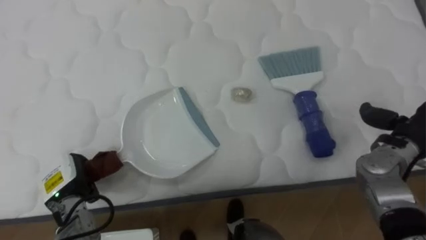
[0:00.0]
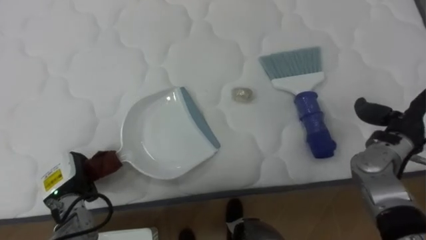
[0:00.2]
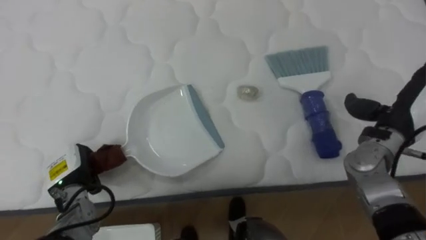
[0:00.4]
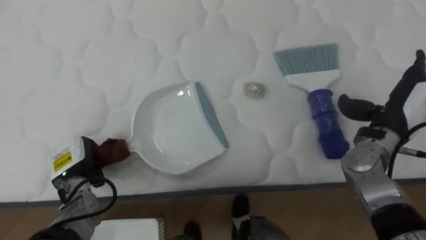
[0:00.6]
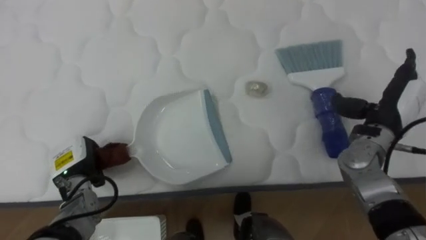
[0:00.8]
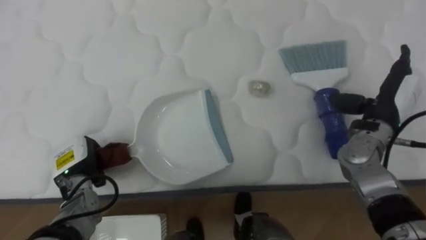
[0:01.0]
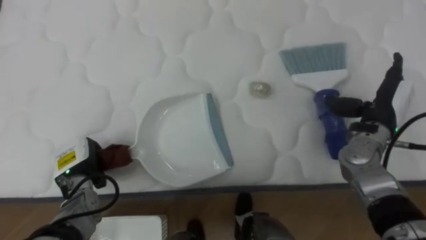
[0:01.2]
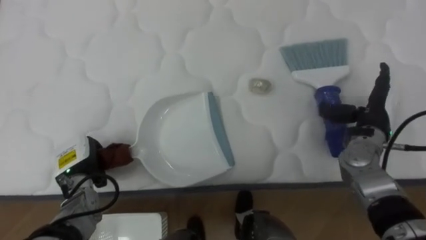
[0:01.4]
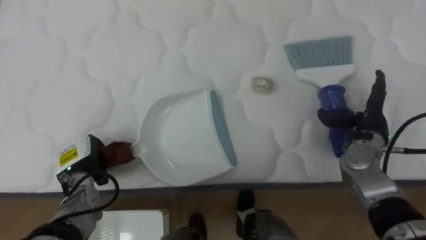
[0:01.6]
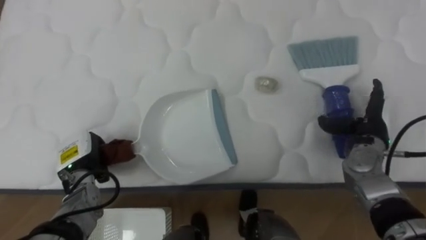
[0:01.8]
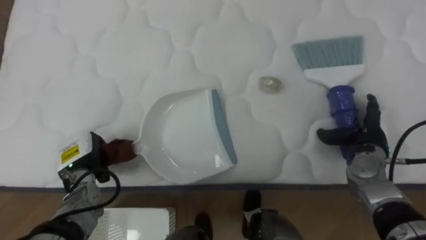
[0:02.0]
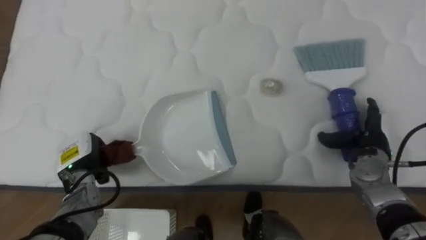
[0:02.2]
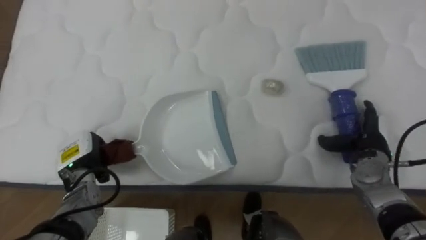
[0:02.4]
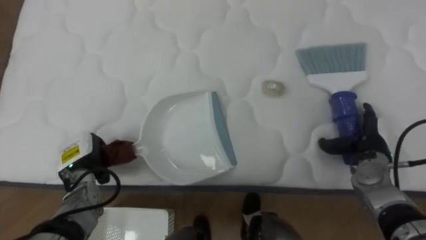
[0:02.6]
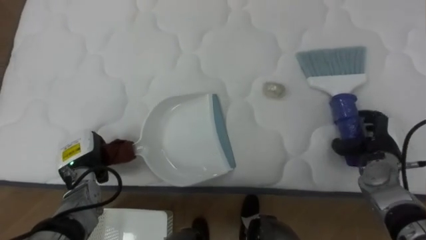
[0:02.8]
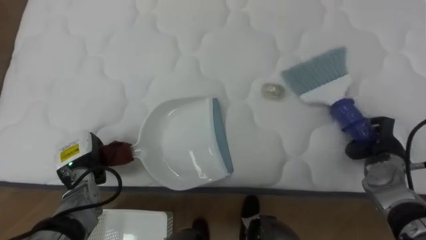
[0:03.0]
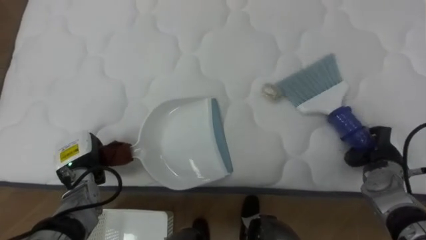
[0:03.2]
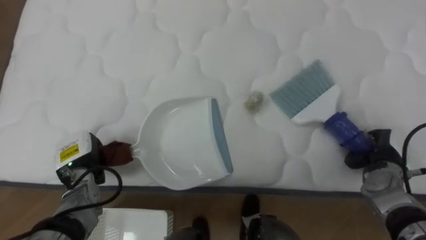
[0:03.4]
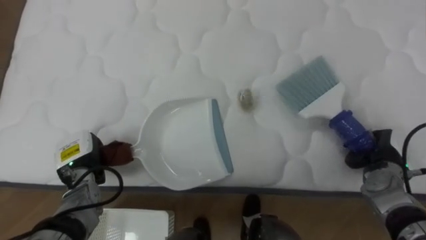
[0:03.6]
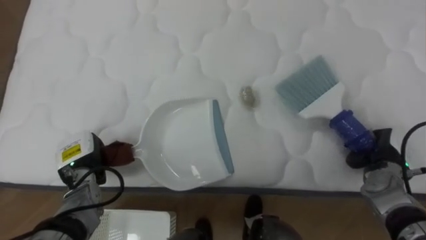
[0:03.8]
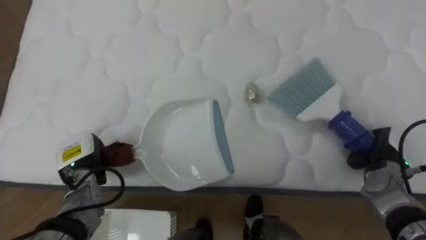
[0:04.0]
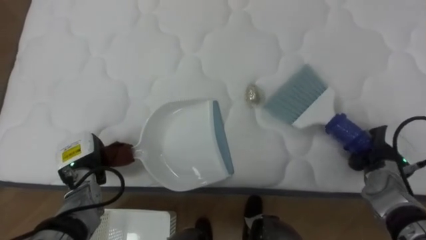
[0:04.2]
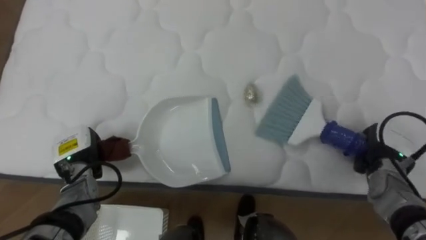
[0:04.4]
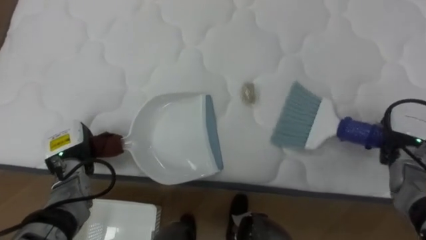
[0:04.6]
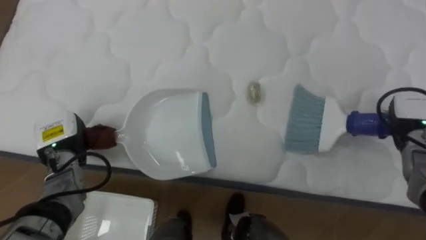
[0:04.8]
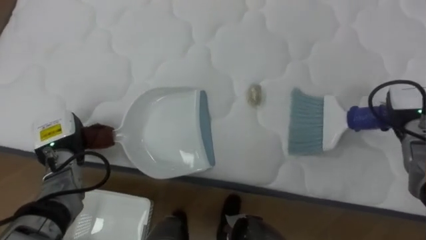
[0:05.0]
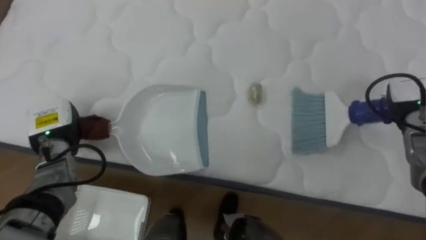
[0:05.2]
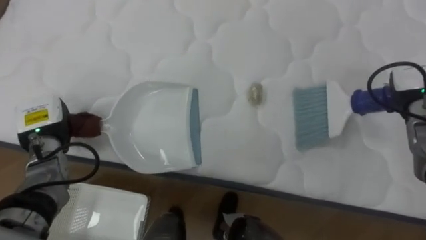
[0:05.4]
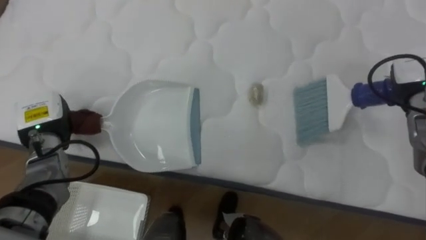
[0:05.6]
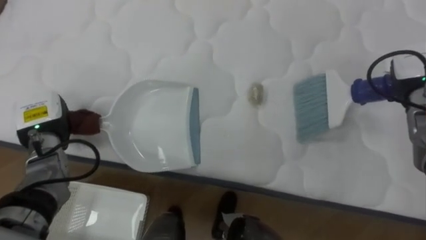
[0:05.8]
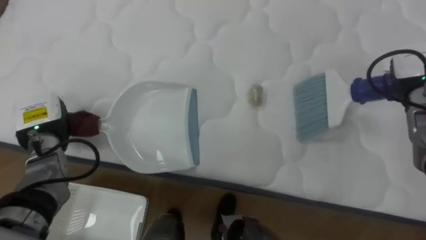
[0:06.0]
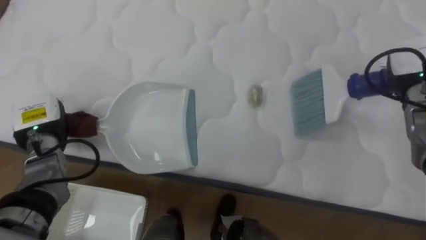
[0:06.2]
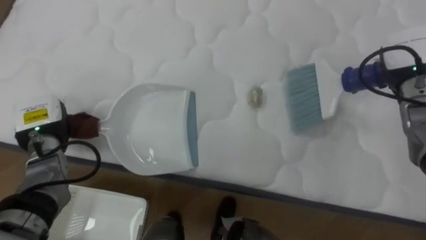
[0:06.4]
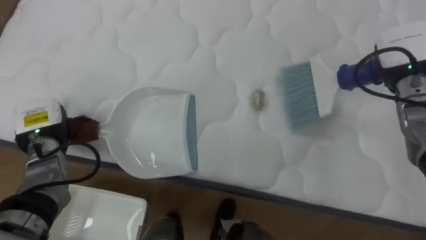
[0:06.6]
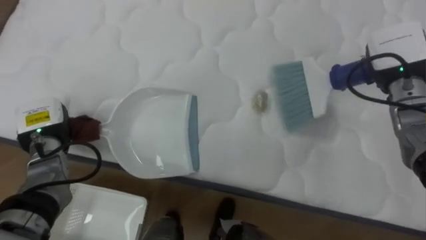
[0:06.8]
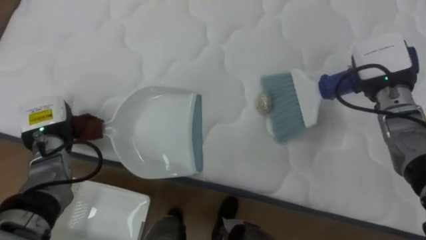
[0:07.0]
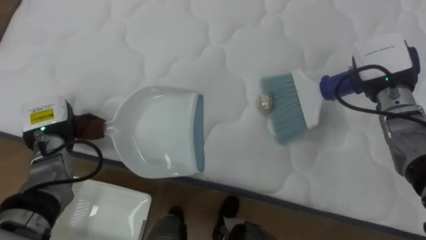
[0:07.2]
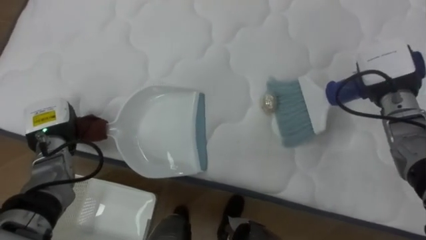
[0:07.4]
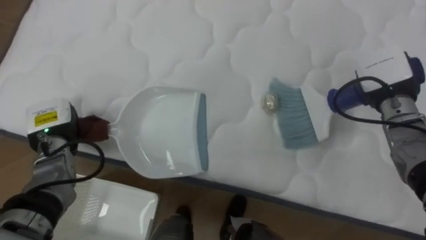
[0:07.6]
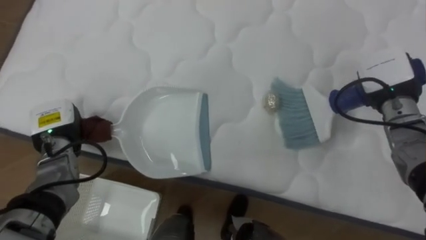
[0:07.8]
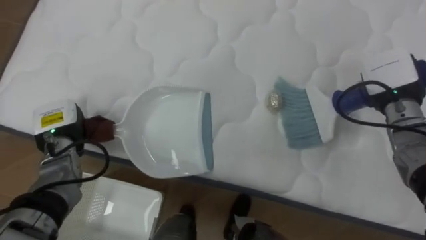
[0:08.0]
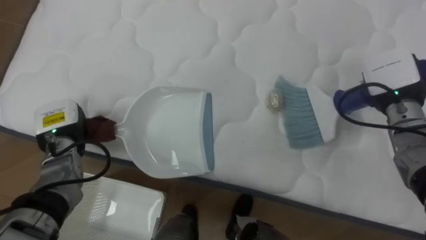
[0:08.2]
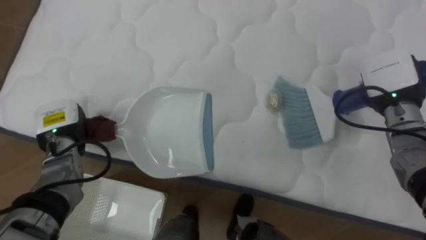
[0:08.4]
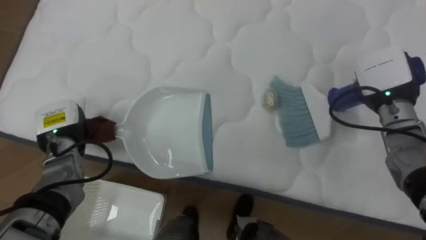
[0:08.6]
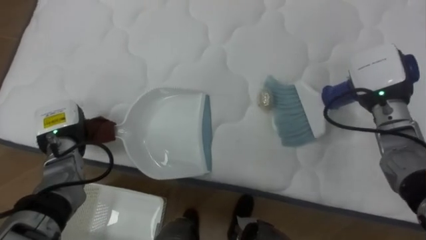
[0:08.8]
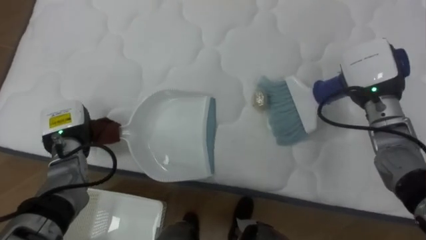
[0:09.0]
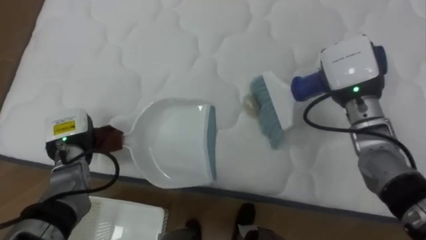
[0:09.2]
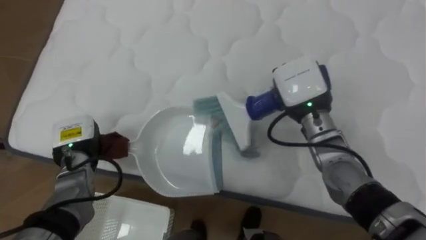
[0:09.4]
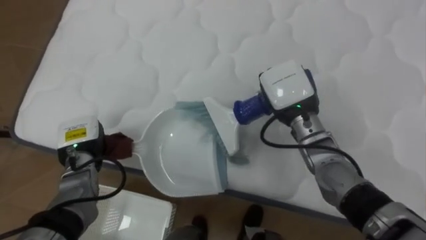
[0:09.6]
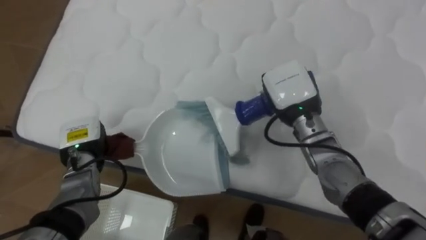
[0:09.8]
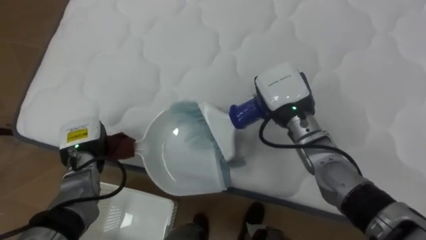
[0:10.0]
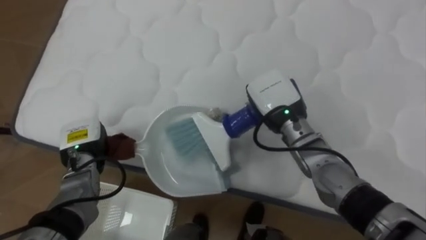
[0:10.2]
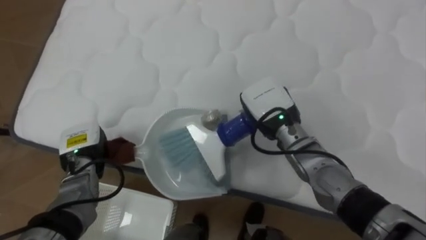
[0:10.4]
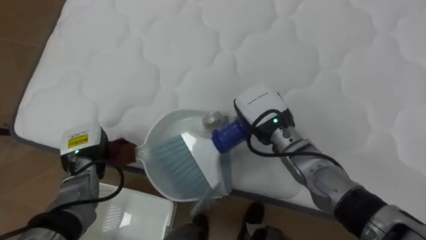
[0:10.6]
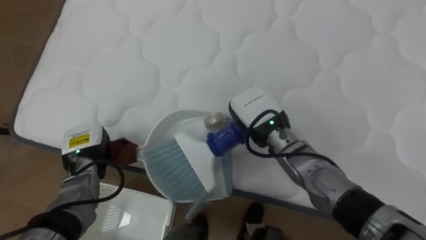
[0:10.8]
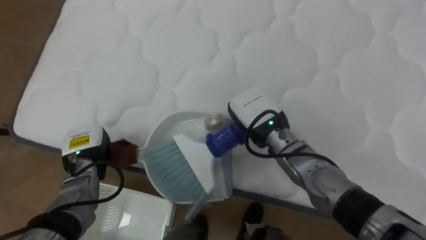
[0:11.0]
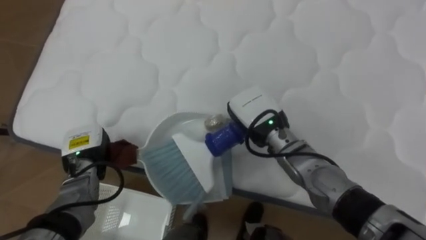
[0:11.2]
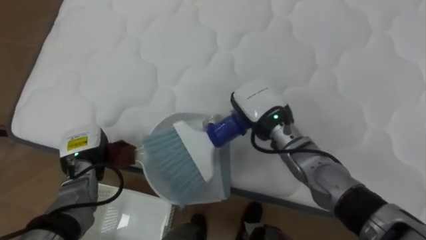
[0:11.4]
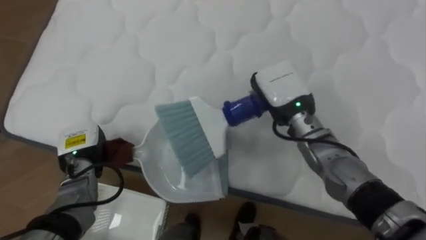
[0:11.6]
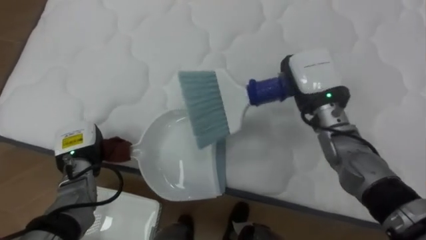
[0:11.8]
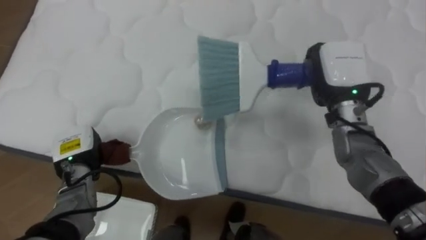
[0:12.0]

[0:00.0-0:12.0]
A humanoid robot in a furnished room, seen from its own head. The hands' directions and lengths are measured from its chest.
Task of the whole recording: Pick up the brush on your right and the dustpan on your left. Use the brush to sweep the crumpled paper on the bed into the dustpan, then turn left and empty it into the basket.
0:00.0 to 0:01.6: The left hand moves roughly 5 cm; the right hand goes roughly 5 cm to the left.
0:01.6 to 0:03.0: The right hand moves downward, about 5 cm, and closes.
0:04.4 to 0:06.0: The left hand moves upward, some 5 cm. The right hand heads upward and forward, covering some 15 cm.
0:06.0 to 0:07.6: The right hand moves to the left, some 5 cm.
0:09.0 to 0:10.4: The left hand moves roughly 5 cm; the right hand travels to the left by roughly 15 cm.
0:10.4 to 0:12.0: The right hand moves to the right and upward, some 15 cm.

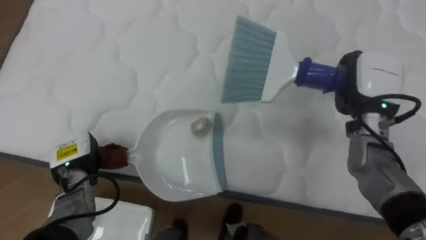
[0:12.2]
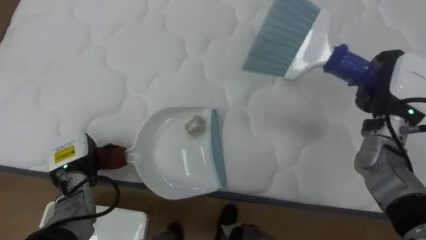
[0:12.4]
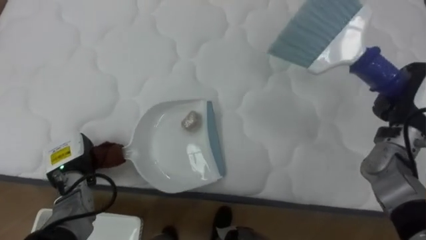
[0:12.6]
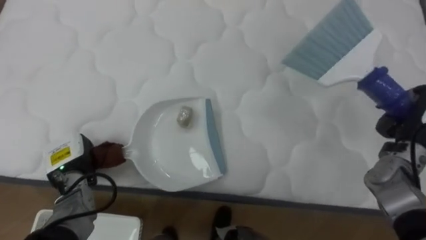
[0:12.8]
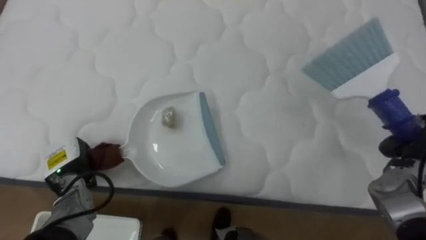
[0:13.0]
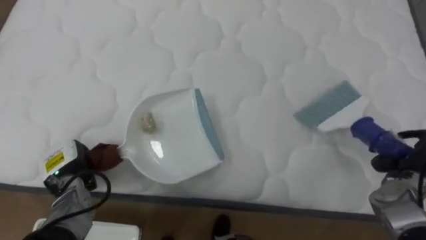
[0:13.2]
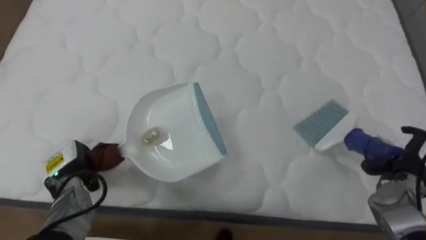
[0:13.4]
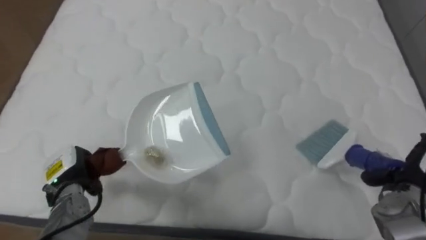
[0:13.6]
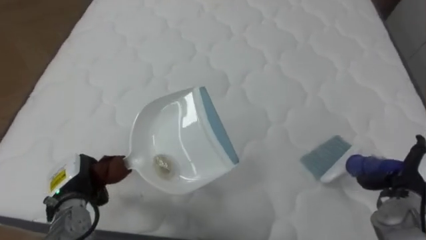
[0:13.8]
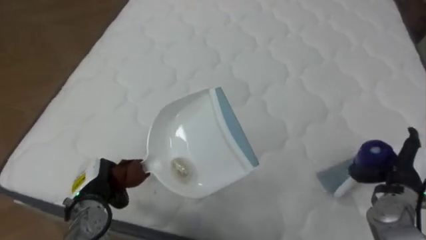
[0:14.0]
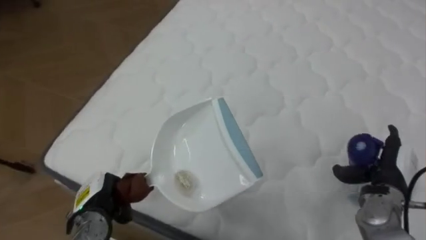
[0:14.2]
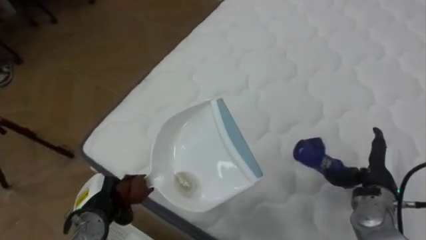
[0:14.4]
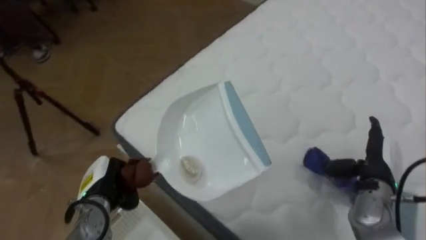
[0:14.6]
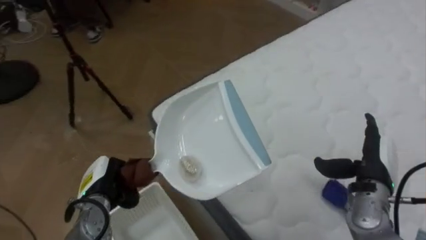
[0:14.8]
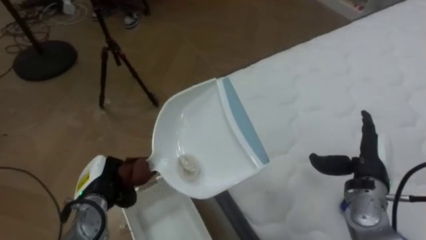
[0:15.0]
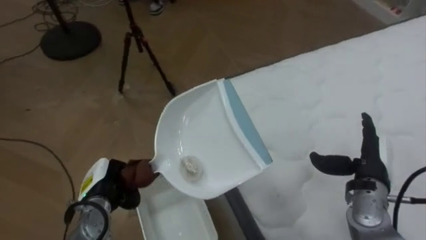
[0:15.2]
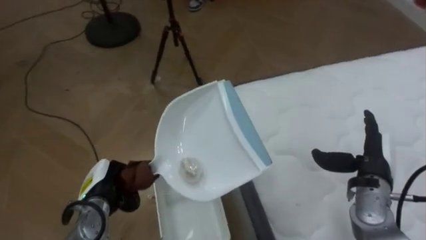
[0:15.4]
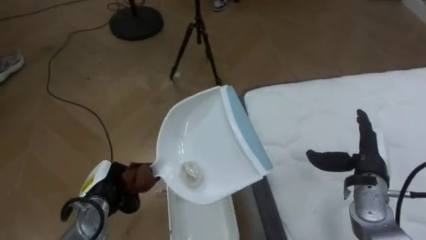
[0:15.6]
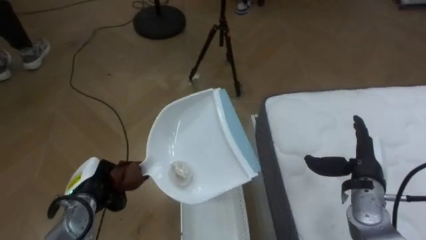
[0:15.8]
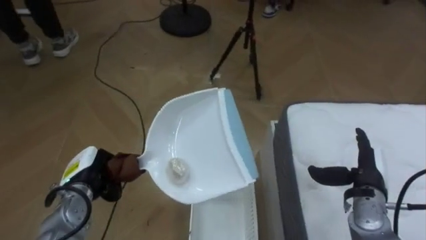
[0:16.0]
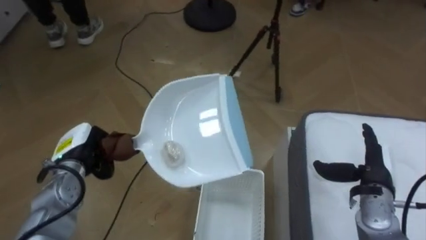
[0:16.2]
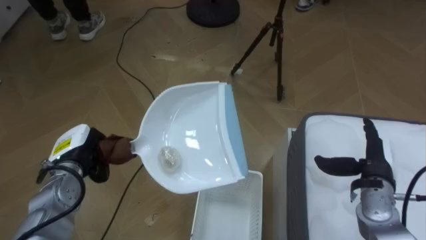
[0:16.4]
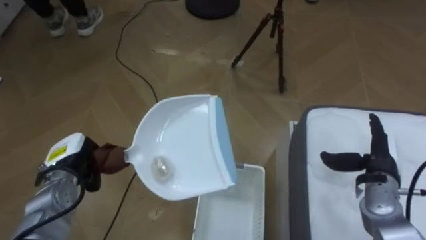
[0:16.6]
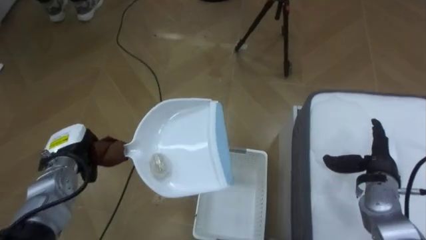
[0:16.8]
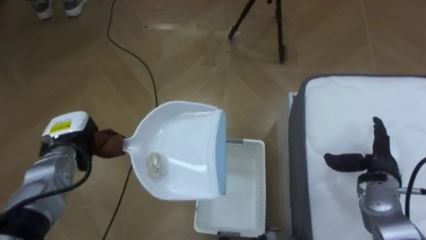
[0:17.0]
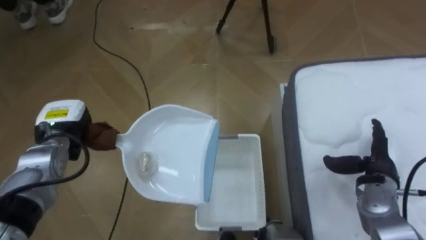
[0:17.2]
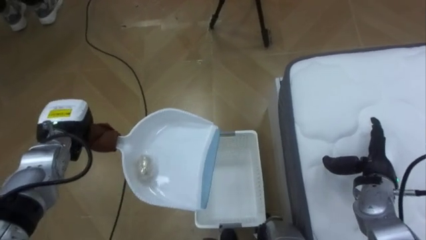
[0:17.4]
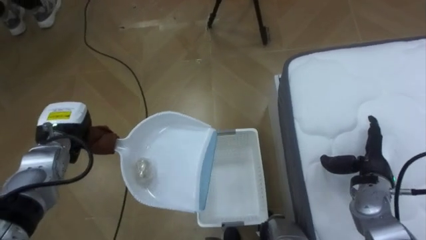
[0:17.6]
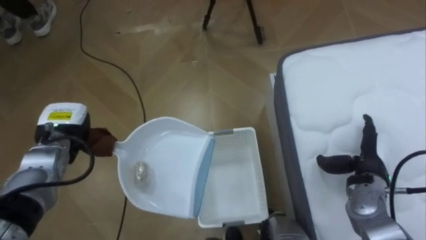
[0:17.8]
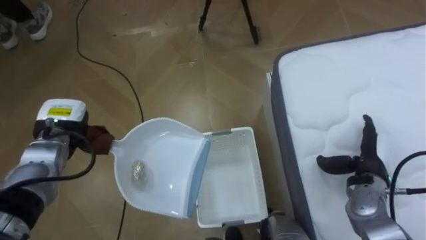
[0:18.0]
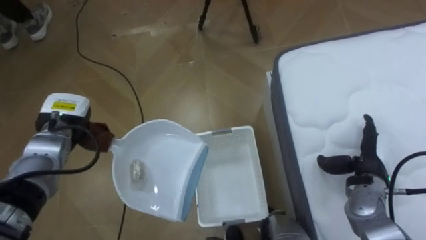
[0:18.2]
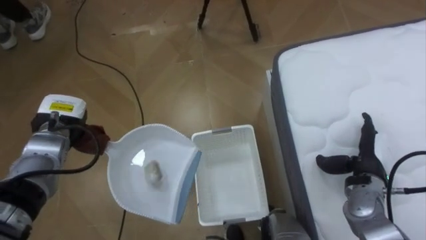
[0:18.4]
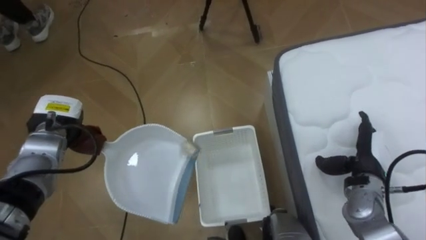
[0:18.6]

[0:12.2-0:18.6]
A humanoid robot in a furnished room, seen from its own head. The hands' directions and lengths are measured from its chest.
Task of the whole recording: Pick up the brush on your right and the dustpan on your left. Use the brush to sweep the crumpled paper on the bed into the dustpan, then turn left and empty it into the basket.
0:12.2 to 0:13.8: The left hand heads backward, covering about 5 cm; the right hand travels downward, backward and to the right by approximately 20 cm, and opens.
0:13.8 to 0:15.4: The robot turns to its left by some 70 degrees. The right hand heads to the left, covering some 5 cm; the left hand shifts some 5 cm to the right.
0:15.4 to 0:17.0: The robot faces roughly 25 degrees further to its left. The left hand travels forward, upward and to the left by some 10 cm.
